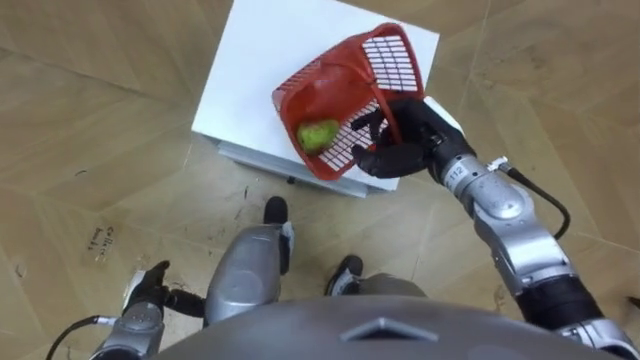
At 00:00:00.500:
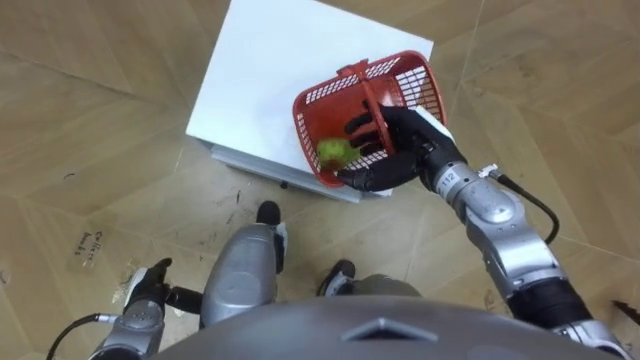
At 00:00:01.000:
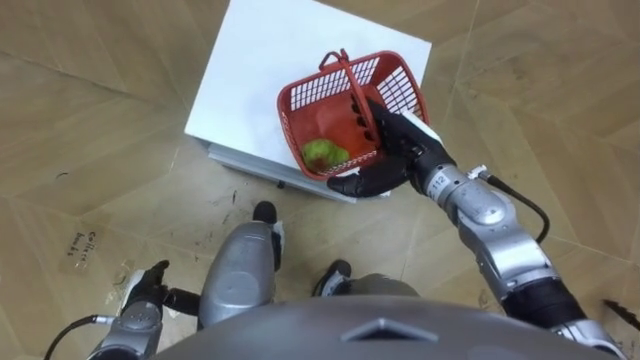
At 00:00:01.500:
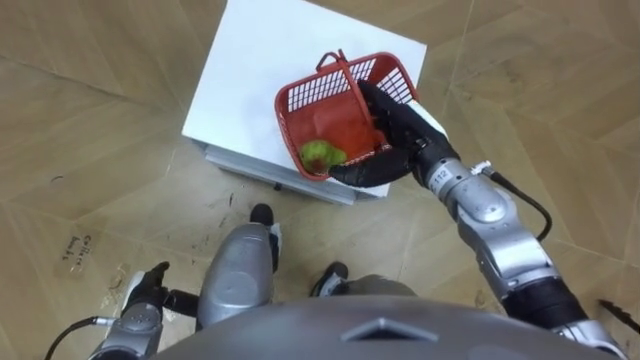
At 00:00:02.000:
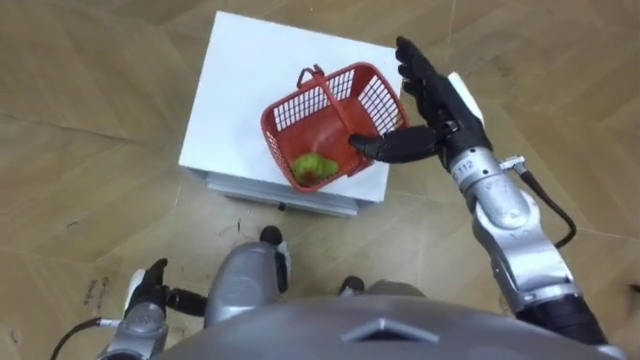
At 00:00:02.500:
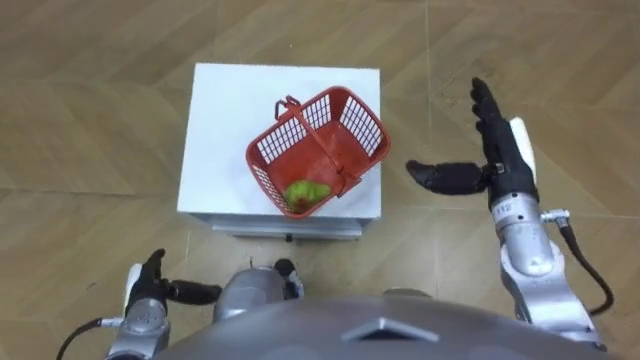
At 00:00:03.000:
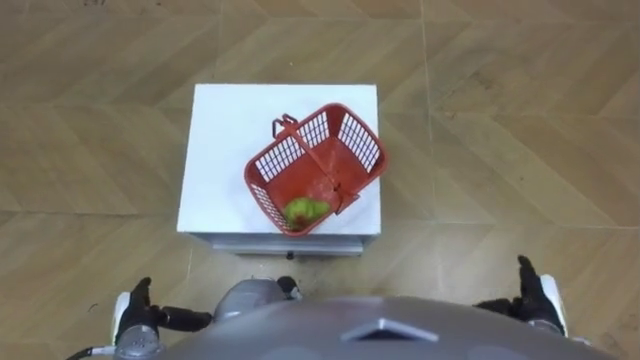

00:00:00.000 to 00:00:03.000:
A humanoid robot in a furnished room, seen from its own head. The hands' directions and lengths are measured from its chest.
Task of the whole recording: Pick up the fruit basket from the floor and place it on the cabinet.
00:00:00.000 to 00:00:01.500: The right hand opens its fingers.
00:00:01.500 to 00:00:03.000: The right hand is displaced backward, to the right and downward by approximately 30 cm.

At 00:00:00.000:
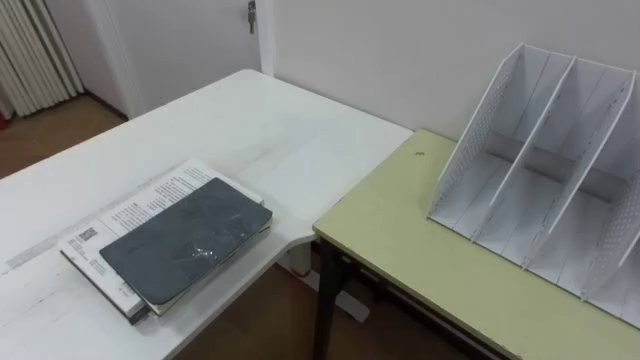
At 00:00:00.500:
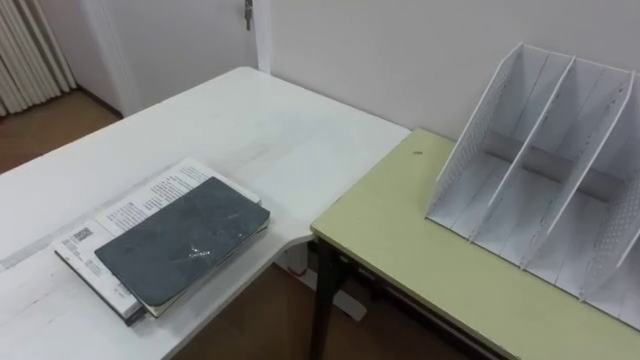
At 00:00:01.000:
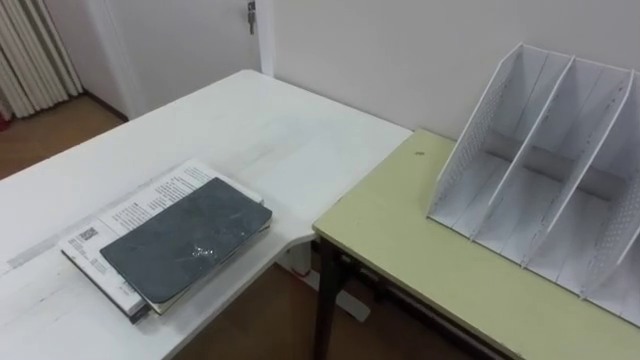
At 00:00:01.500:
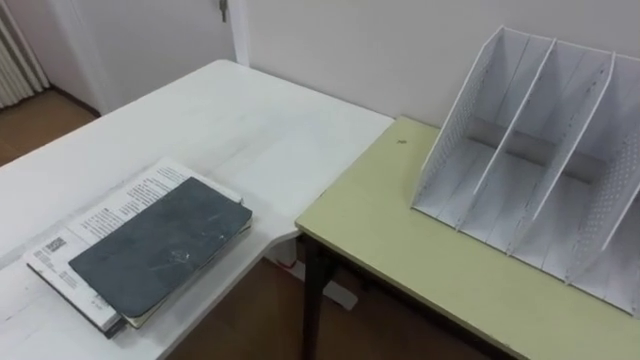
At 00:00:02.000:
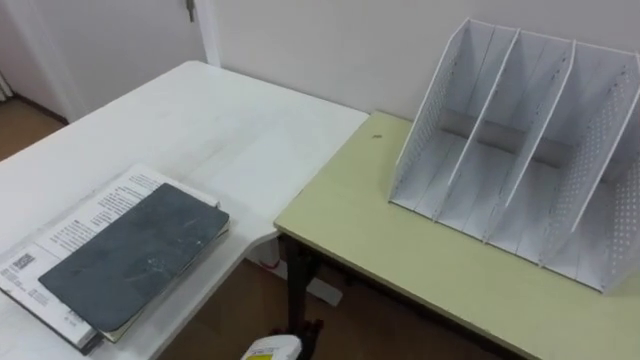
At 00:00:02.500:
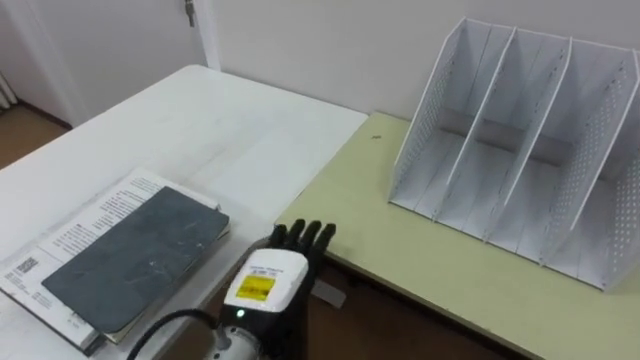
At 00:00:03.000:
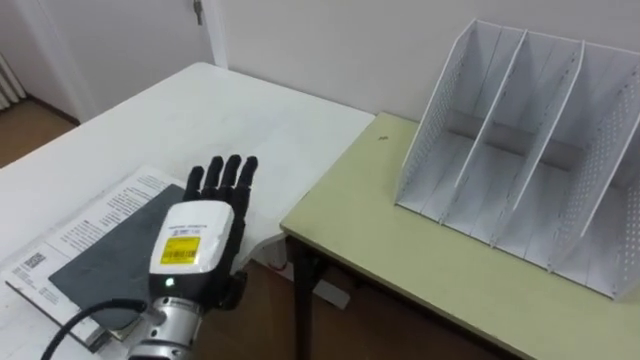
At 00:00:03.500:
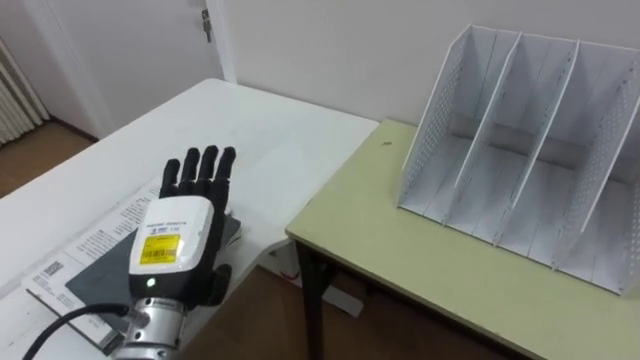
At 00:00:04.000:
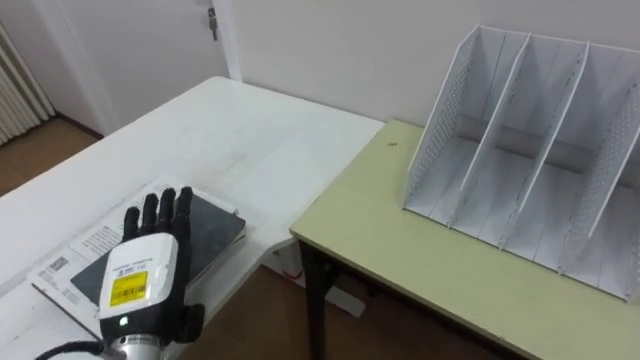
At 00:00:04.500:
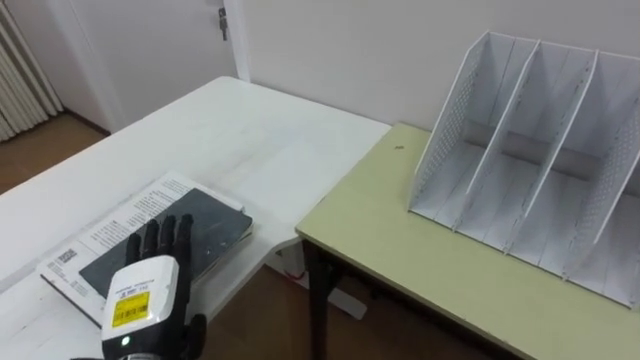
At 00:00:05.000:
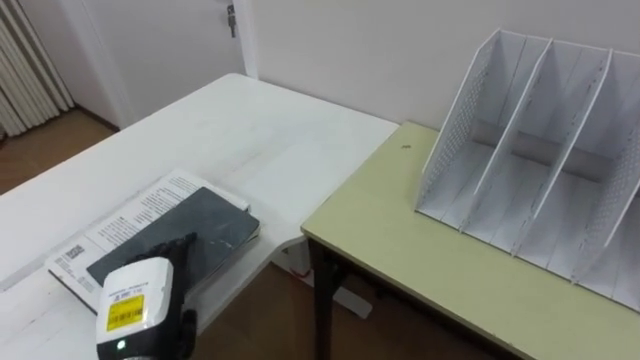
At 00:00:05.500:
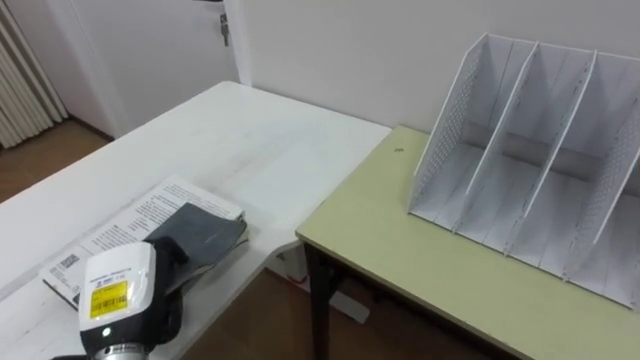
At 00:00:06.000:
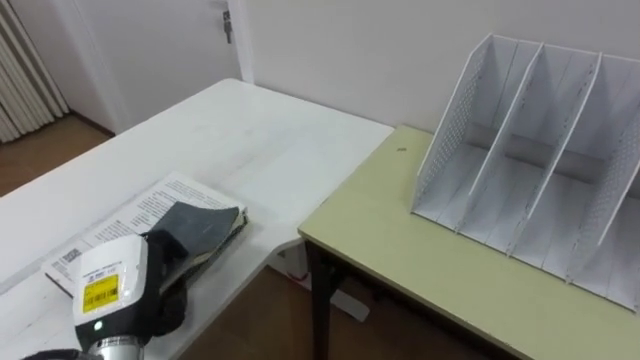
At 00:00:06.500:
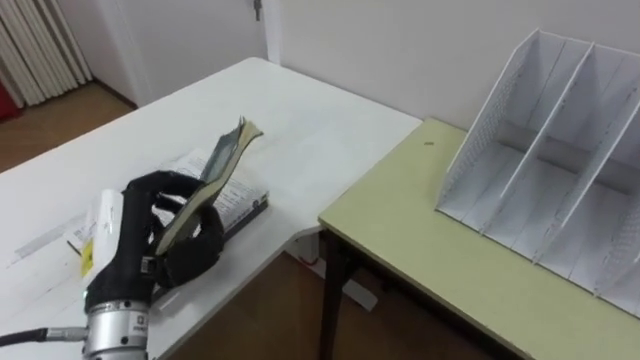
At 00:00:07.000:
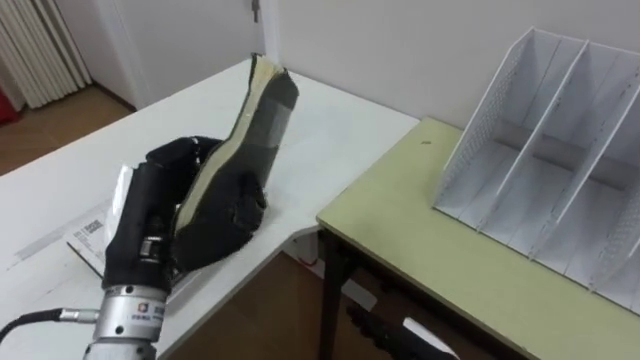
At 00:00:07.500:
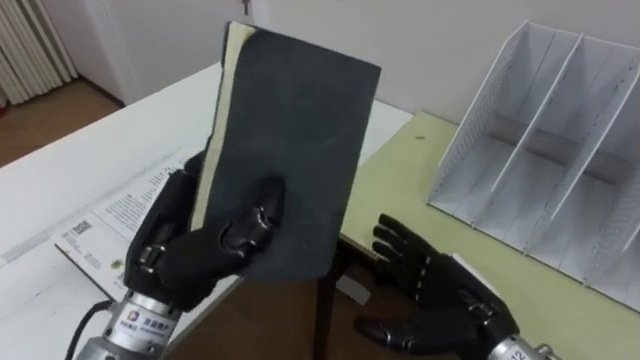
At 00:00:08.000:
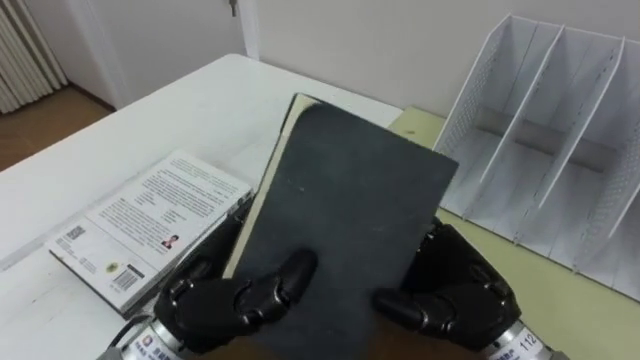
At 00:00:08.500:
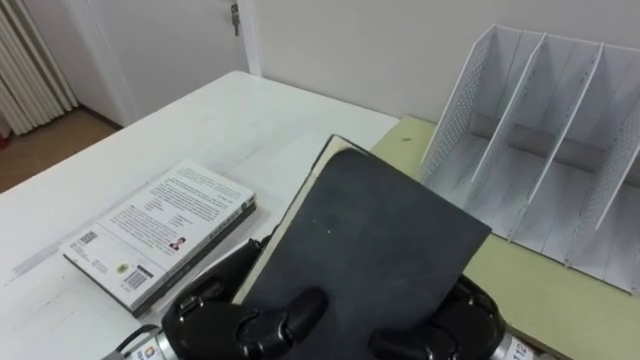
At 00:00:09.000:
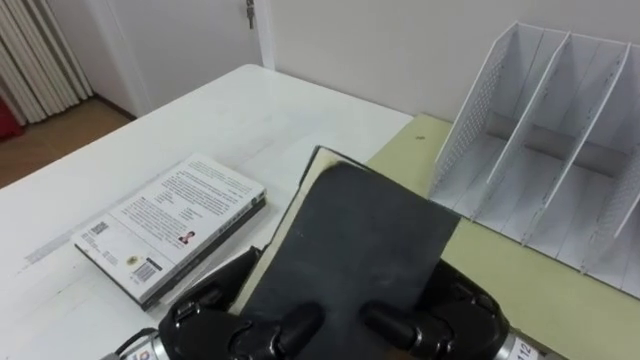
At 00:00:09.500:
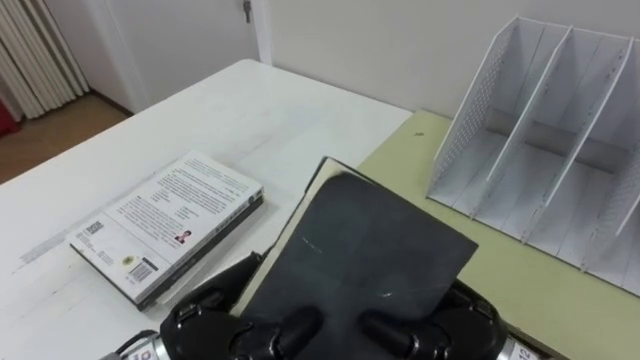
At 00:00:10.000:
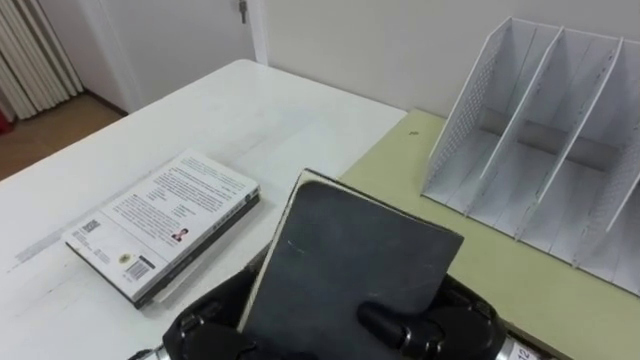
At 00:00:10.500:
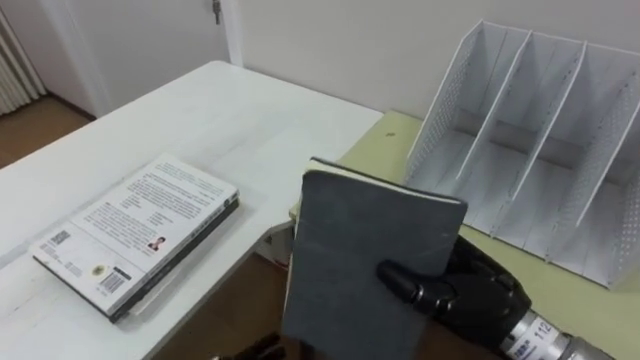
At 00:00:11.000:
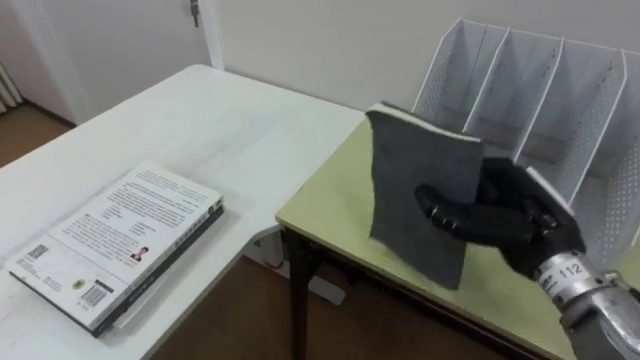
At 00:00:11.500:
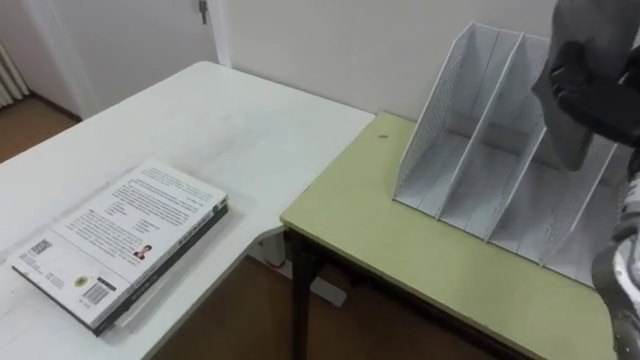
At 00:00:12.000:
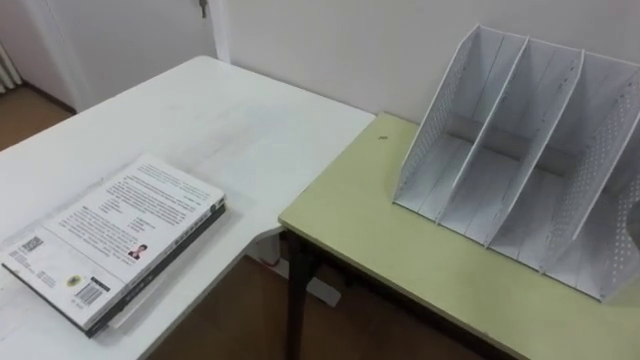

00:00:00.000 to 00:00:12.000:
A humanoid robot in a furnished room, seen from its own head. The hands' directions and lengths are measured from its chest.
Task of the whole recording: Put the books on the table onto the bookshelf.
00:00:04.000 to 00:00:06.000: The left hand closes.
00:00:06.000 to 00:00:08.000: The left hand heads to the right and upward, covering some 15 cm.
00:00:08.000 to 00:00:10.000: The left hand is displaced downward by approximately 5 cm, and opens up. Meanwhile the right hand closes up.
